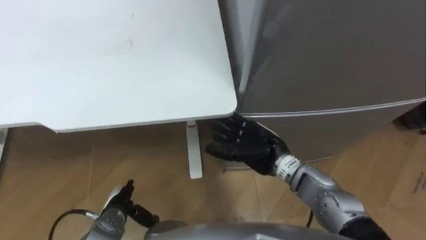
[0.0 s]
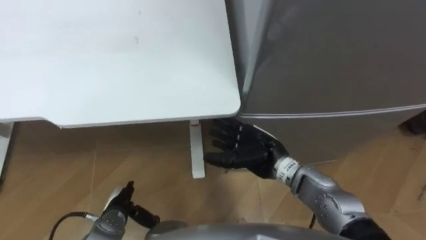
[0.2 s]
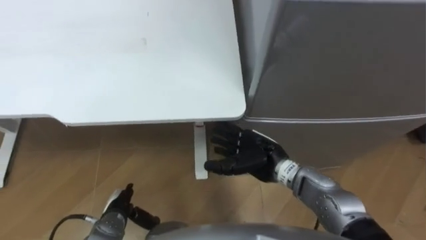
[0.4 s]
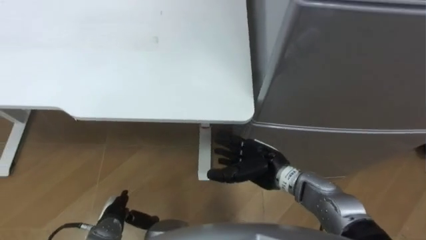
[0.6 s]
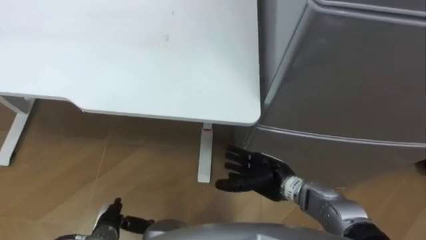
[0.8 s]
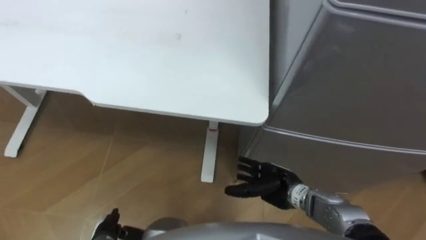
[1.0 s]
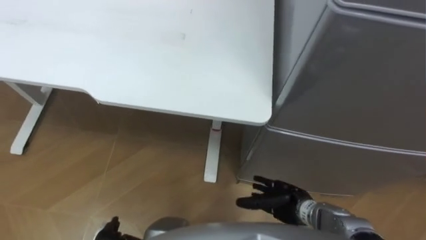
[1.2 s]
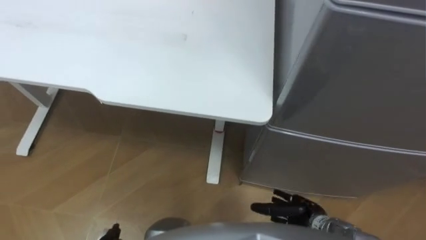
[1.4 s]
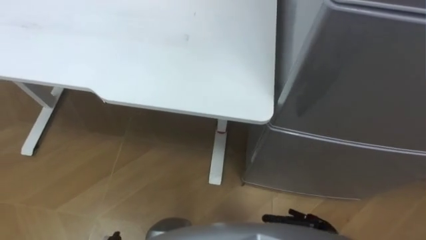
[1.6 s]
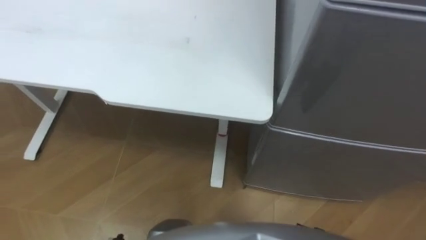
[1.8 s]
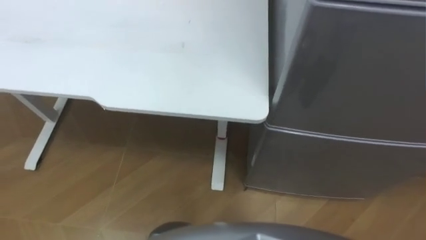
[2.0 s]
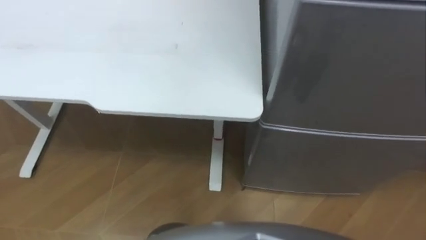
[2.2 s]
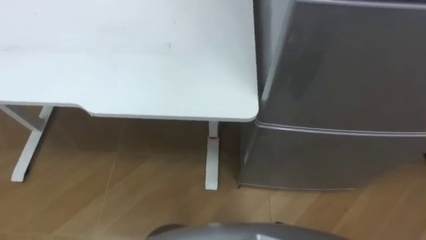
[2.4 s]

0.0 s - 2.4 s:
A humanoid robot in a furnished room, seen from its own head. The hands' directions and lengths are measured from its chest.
Task of the whole recording: Place the drink on the table on the bottom shelf of the refrigerator, then close the drawer and the refrigerator door.
0.0 s - 1.2 s: The right hand shifts approximately 15 cm downward, backward and to the right.

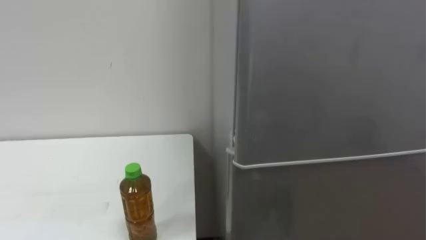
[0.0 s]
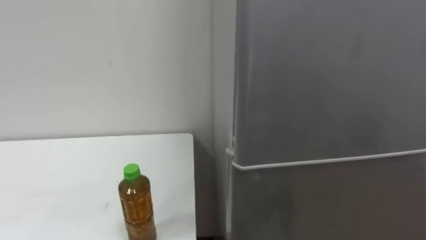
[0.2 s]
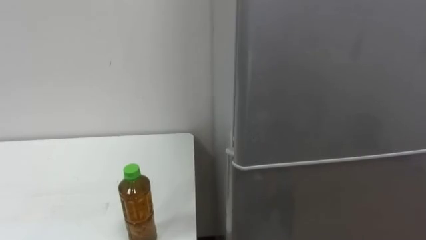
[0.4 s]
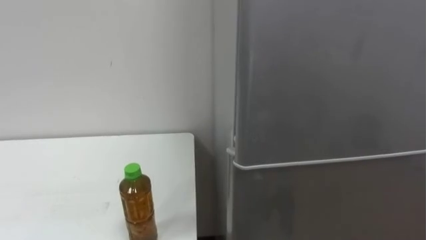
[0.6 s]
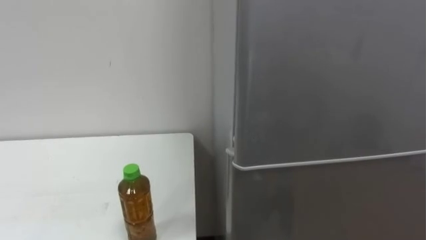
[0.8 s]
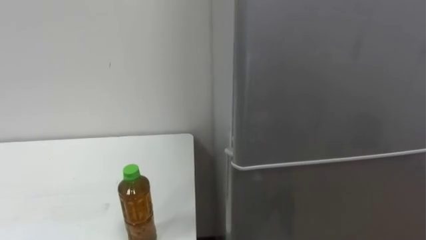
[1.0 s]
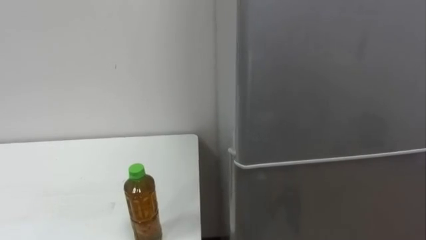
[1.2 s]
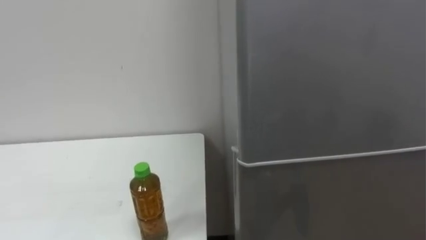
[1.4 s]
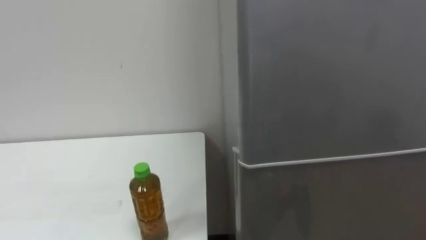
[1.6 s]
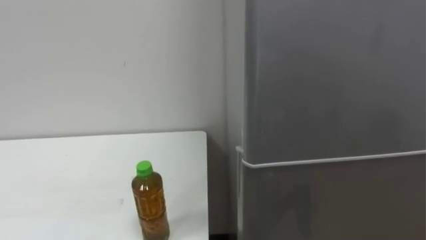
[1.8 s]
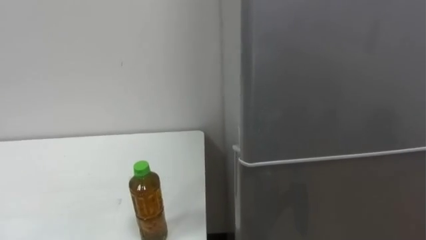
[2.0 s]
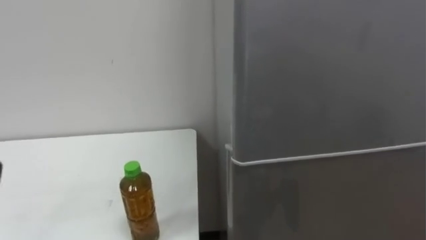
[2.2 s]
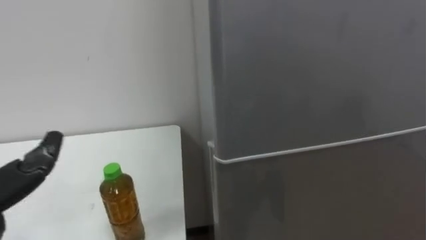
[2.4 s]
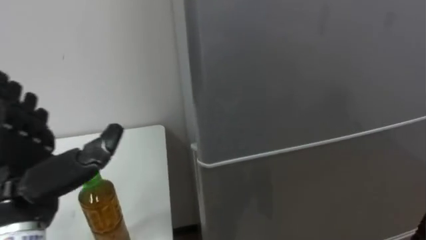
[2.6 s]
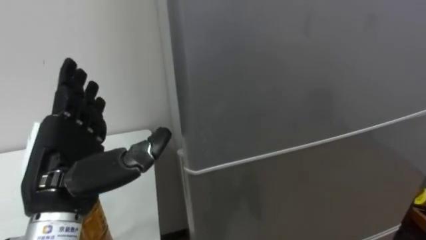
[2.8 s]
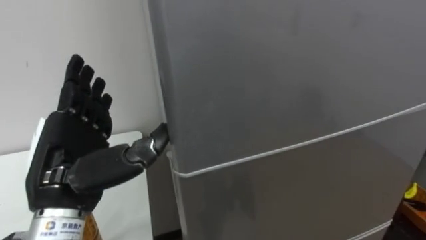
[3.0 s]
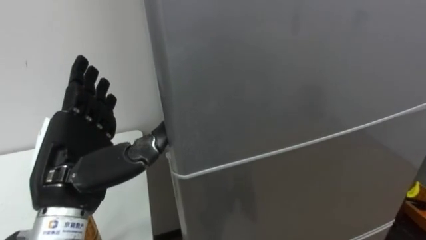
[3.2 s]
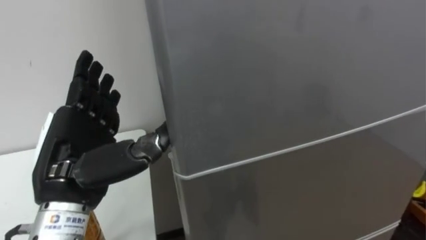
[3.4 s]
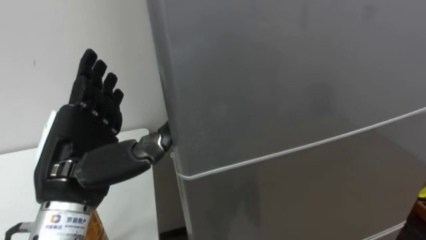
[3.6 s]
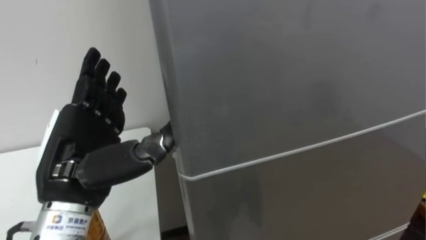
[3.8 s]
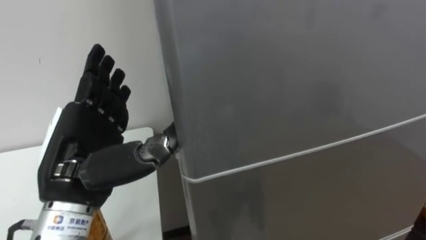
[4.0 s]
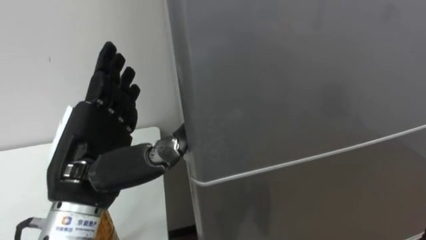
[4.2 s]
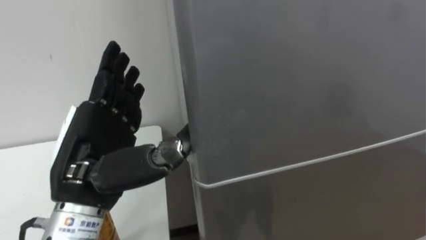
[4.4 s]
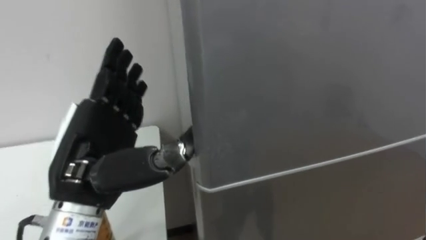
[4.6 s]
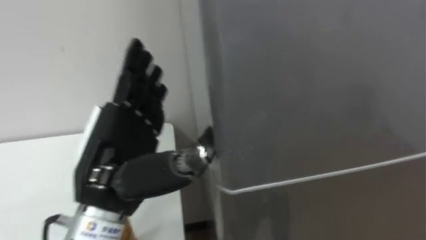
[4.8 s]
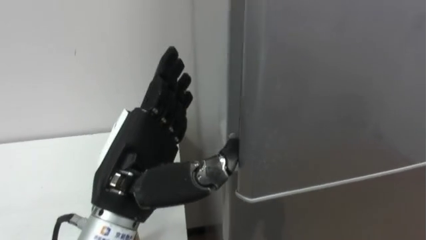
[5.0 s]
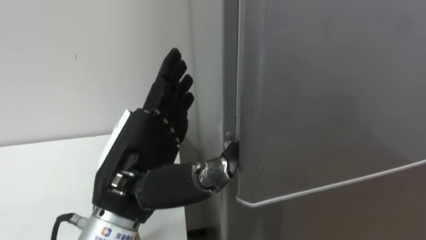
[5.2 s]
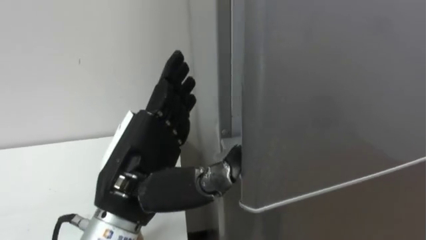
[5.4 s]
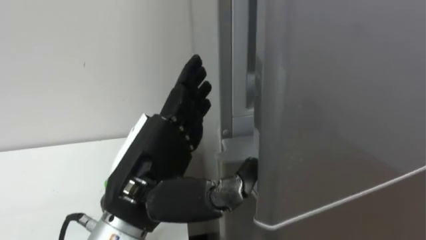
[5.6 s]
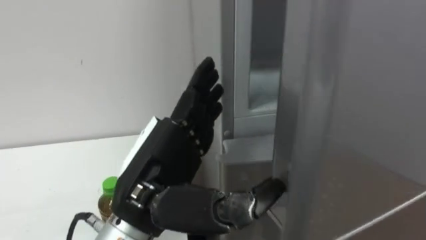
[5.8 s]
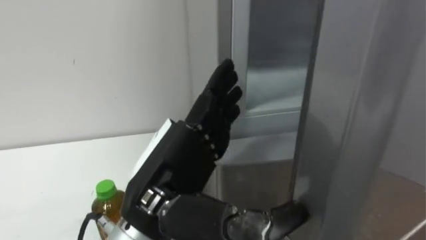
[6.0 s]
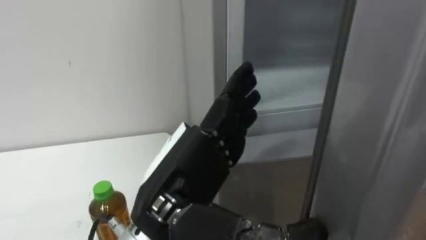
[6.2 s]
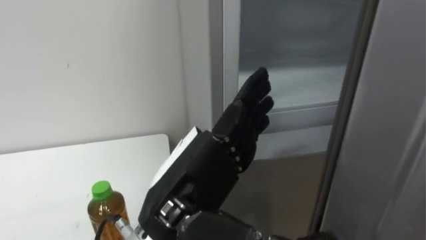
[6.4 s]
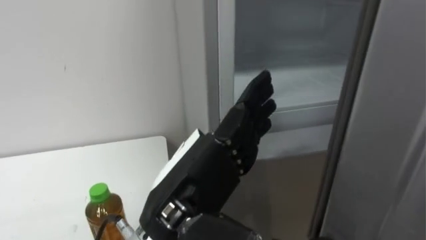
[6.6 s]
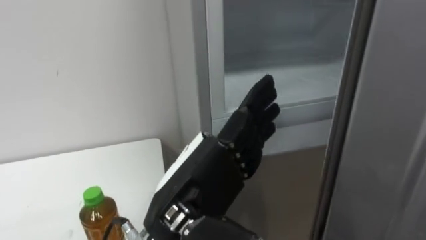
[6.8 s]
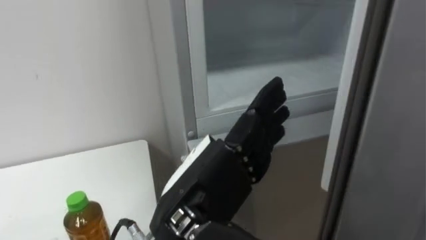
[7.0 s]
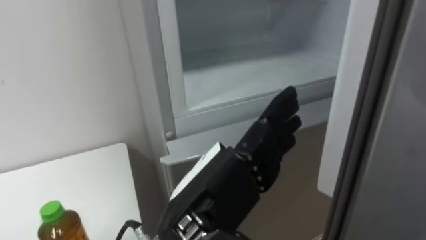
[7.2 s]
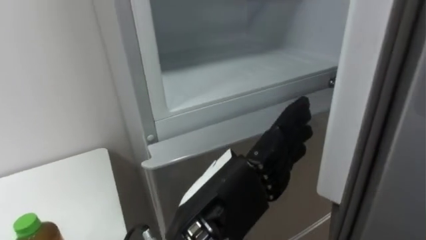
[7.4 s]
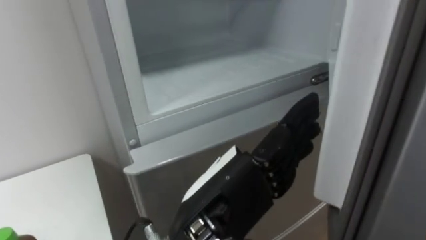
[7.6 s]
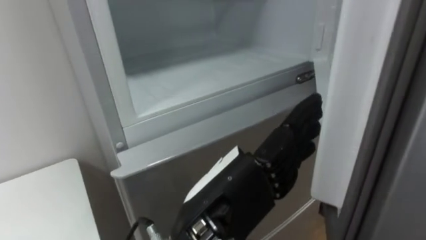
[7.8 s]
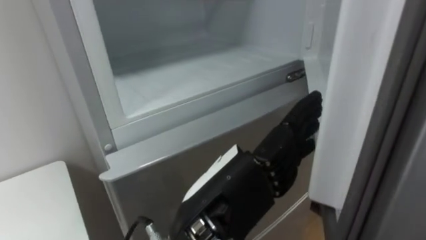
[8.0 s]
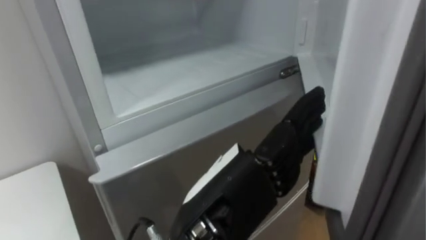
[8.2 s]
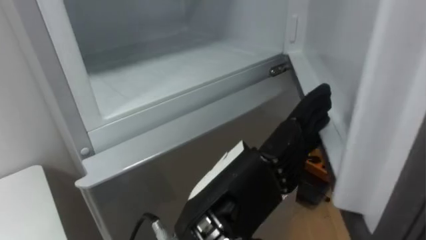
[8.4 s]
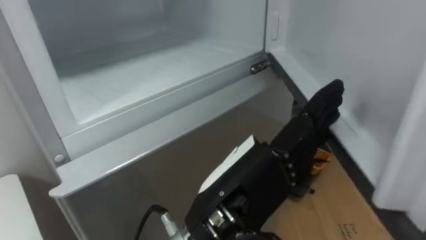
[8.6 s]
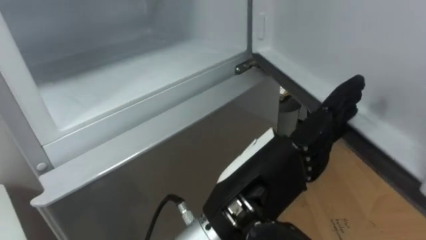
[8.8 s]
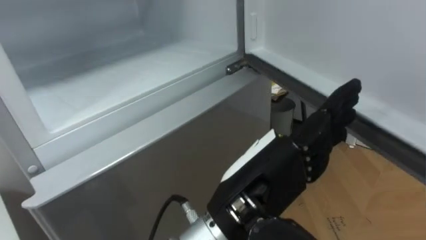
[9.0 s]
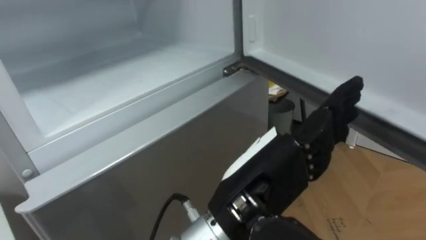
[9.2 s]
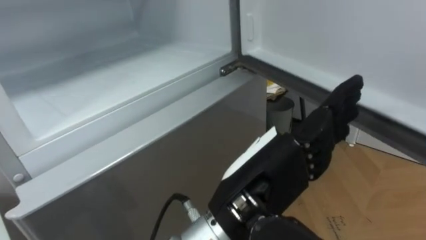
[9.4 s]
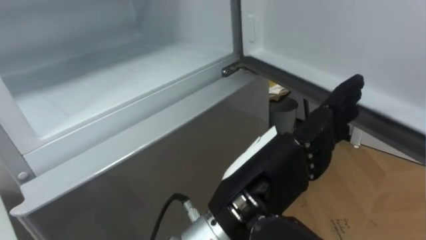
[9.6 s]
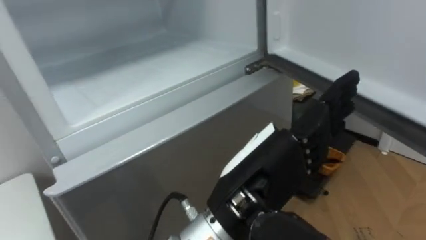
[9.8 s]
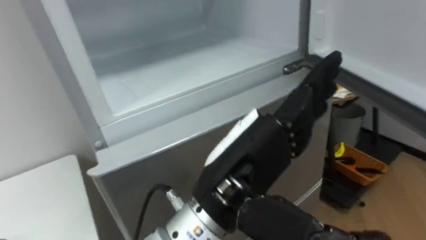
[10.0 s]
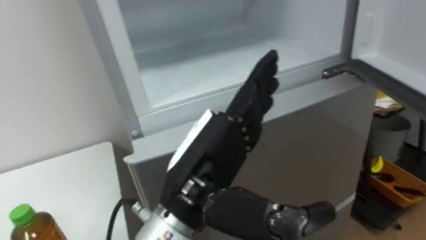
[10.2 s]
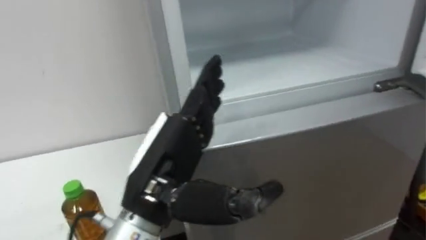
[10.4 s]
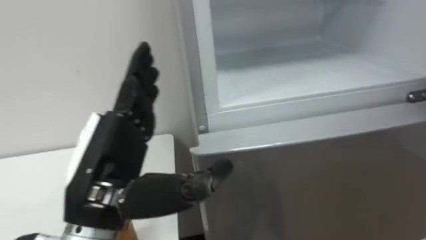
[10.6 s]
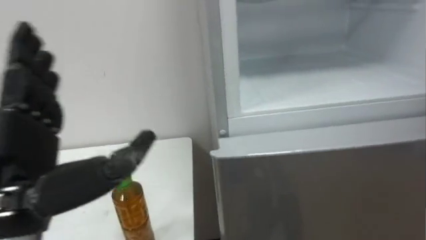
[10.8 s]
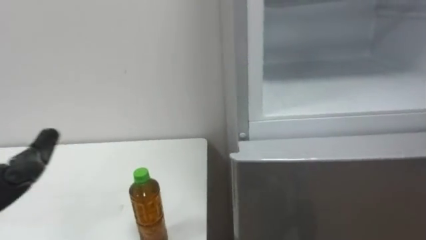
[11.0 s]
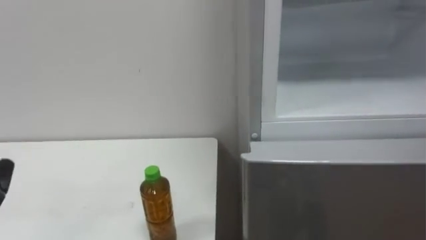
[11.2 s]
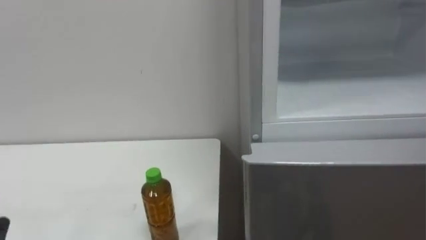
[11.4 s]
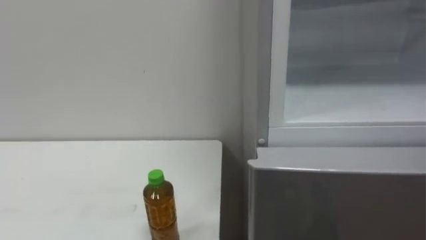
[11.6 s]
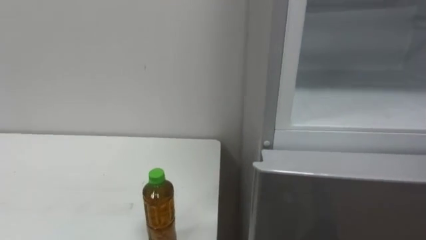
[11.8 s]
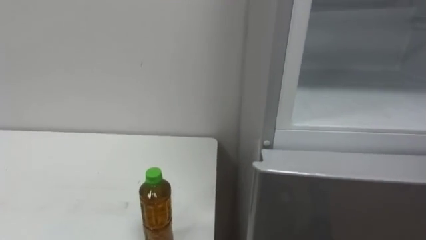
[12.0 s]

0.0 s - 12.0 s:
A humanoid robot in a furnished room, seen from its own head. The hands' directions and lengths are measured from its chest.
Task of the whole recording: Open the upper refrigerator door, put the drink from the table into the refrigerator, and then close the refrigerator door.
4.4 s - 6.0 s: The left hand heads to the right, covering roughly 10 cm.
6.0 s - 7.6 s: The left hand travels to the right by about 5 cm.
9.0 s - 10.4 s: The left hand shifts some 10 cm to the left.

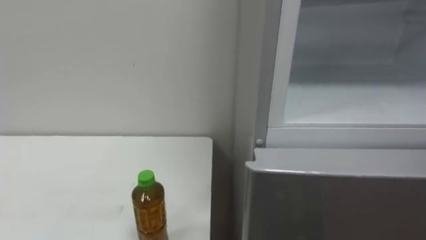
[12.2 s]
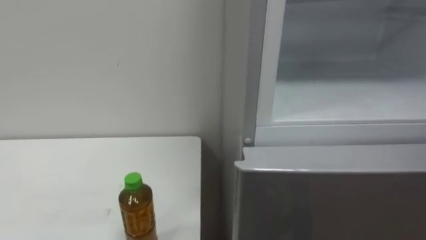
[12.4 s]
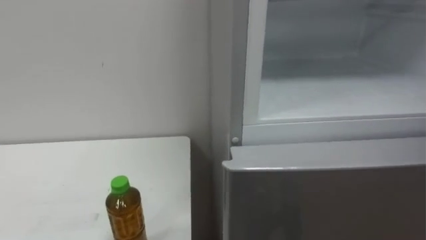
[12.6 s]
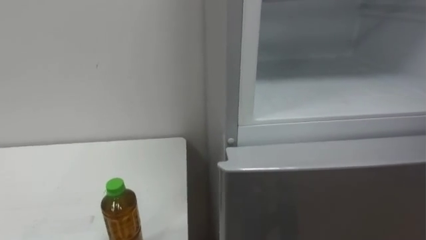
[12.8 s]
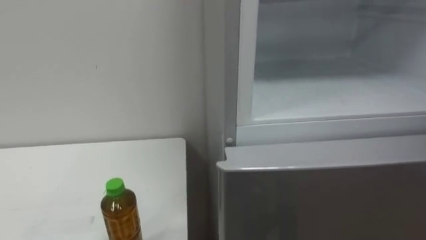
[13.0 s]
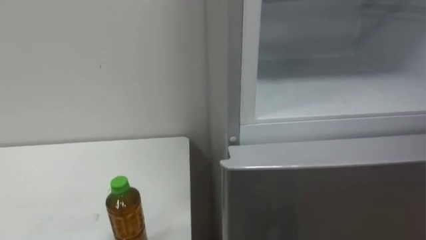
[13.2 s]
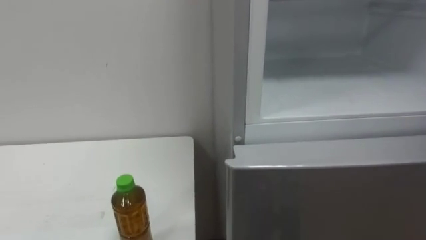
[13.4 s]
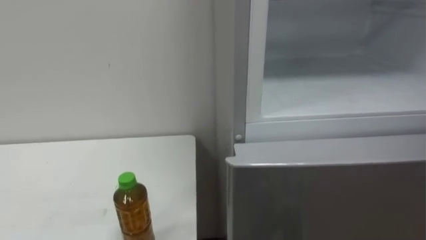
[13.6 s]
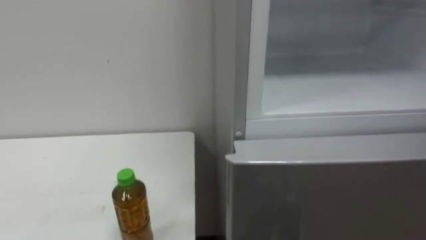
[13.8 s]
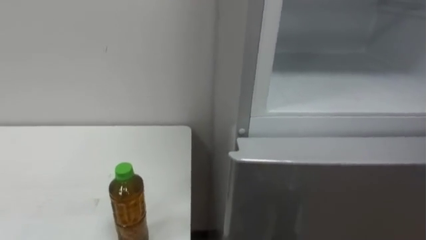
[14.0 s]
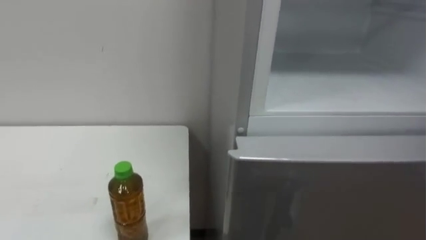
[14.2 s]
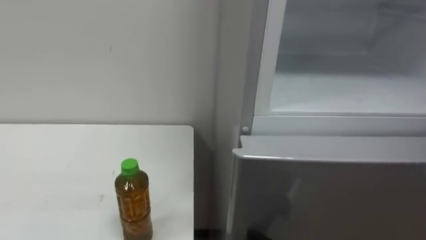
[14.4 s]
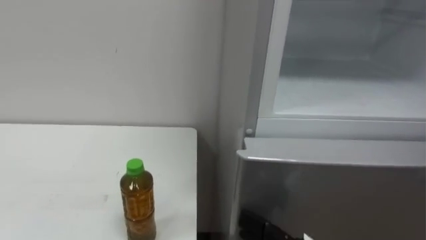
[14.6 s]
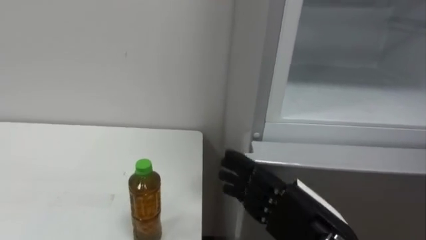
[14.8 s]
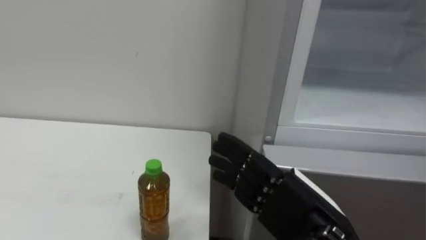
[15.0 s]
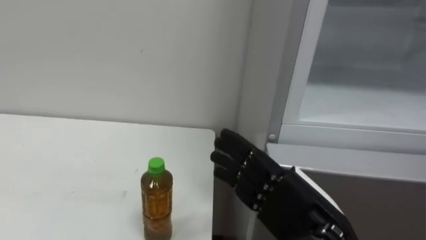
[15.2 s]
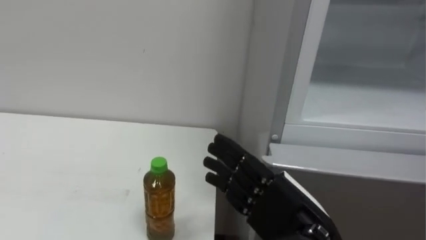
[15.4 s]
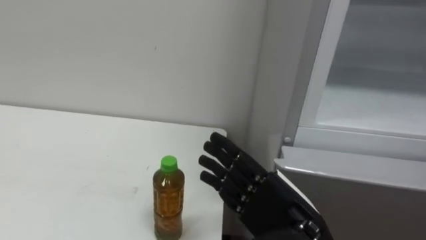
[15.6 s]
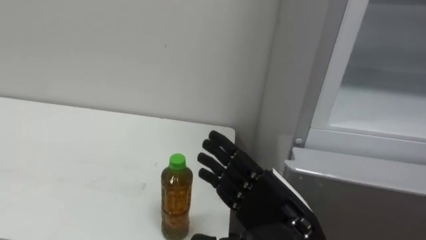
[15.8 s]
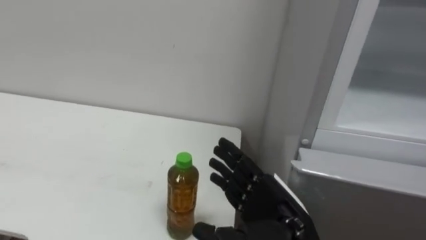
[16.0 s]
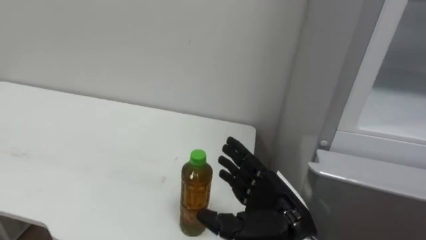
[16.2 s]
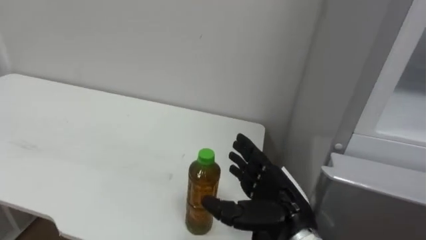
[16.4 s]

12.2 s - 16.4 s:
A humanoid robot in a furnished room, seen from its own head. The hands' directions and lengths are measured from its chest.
Task of the whole recording: Open the upper refrigerator door, put the drink from the table into the refrigerator, and then close the refrigerator door.
15.0 s - 16.4 s: The right hand shifts about 10 cm forward and downward.
